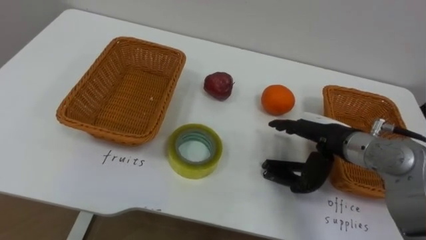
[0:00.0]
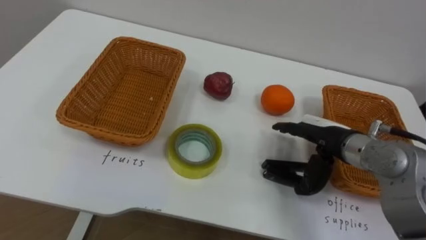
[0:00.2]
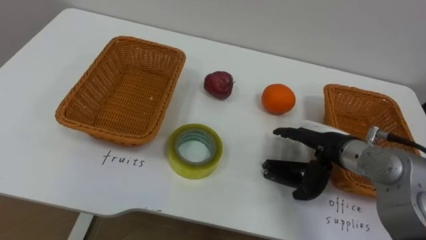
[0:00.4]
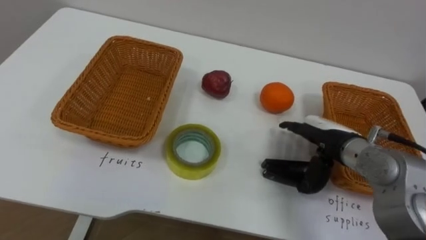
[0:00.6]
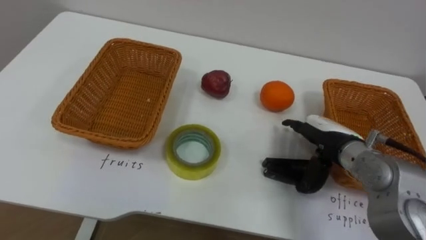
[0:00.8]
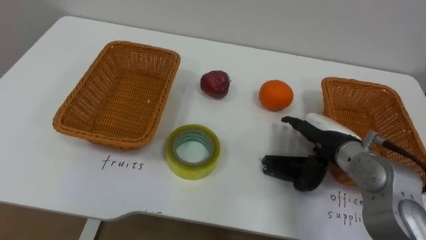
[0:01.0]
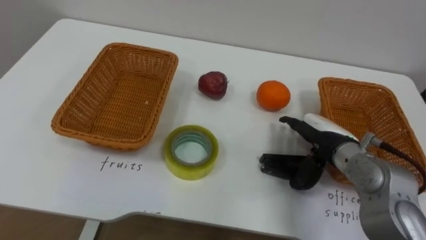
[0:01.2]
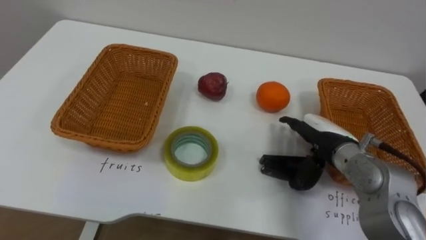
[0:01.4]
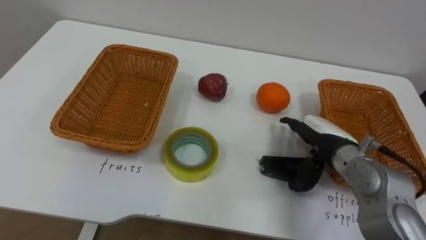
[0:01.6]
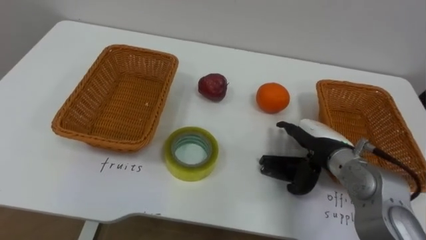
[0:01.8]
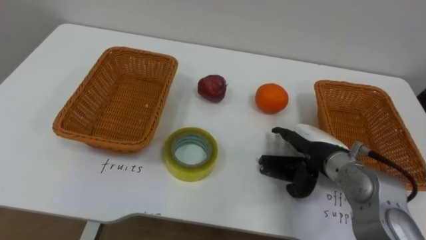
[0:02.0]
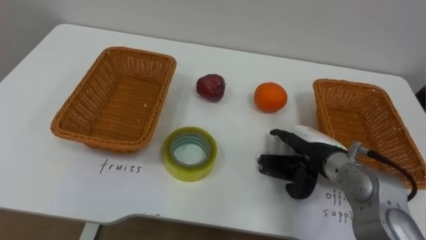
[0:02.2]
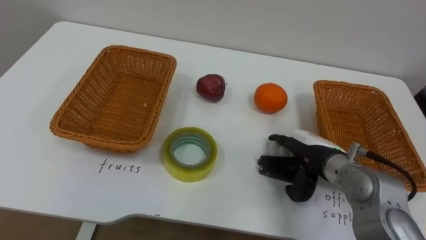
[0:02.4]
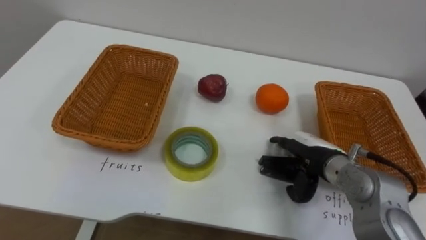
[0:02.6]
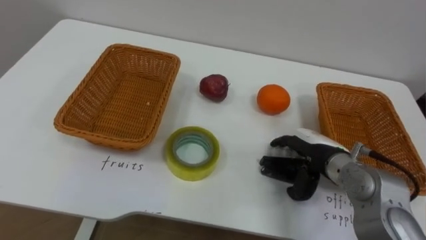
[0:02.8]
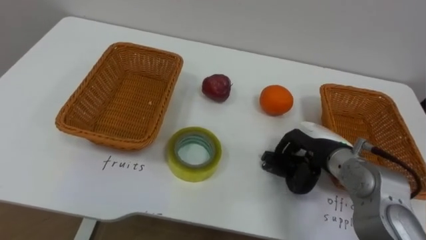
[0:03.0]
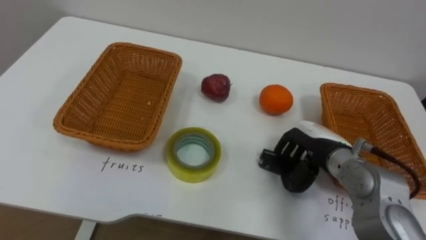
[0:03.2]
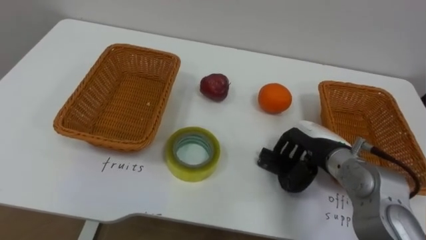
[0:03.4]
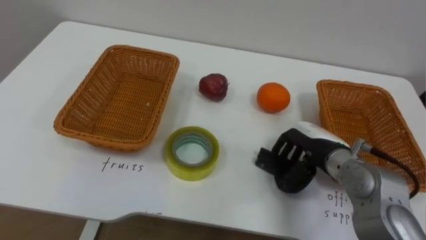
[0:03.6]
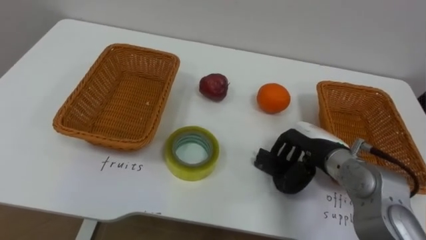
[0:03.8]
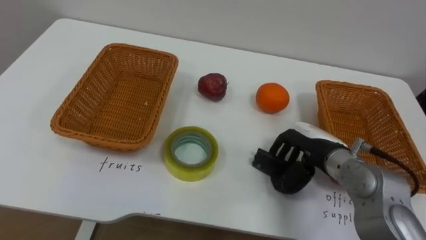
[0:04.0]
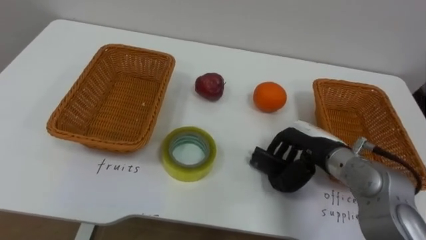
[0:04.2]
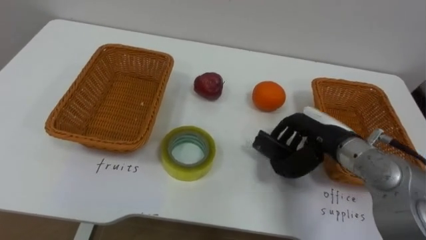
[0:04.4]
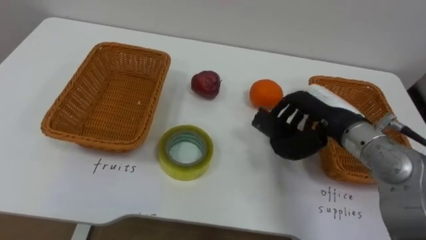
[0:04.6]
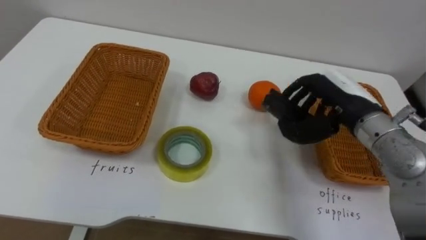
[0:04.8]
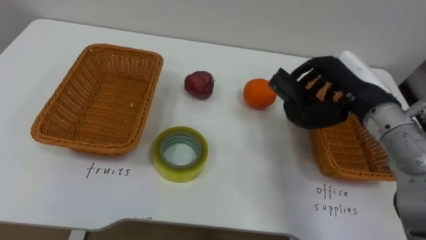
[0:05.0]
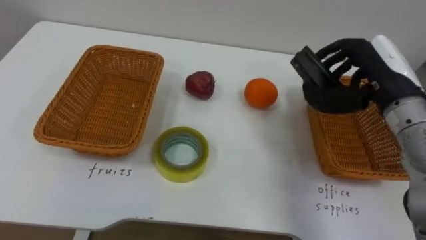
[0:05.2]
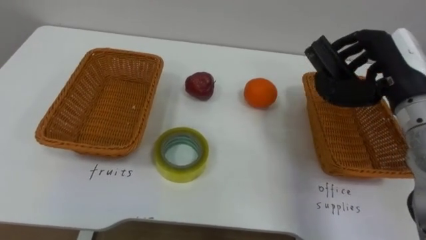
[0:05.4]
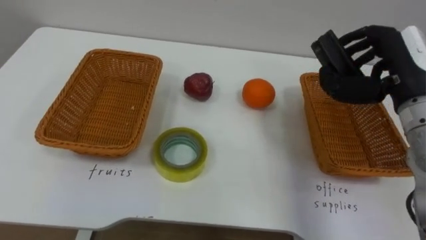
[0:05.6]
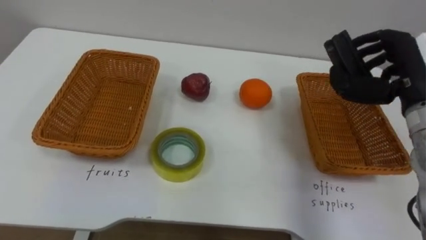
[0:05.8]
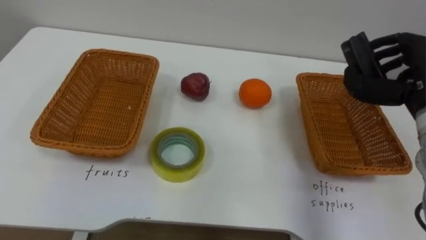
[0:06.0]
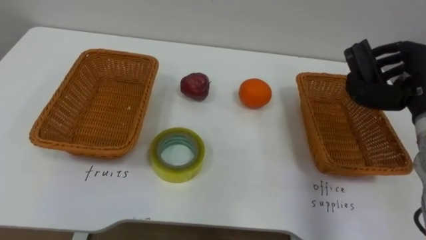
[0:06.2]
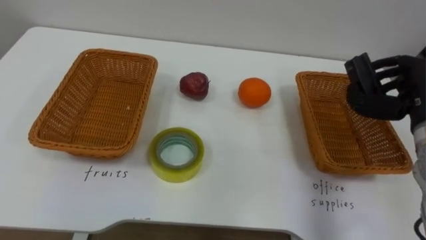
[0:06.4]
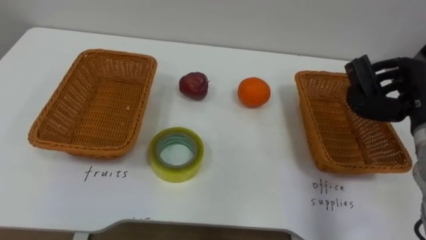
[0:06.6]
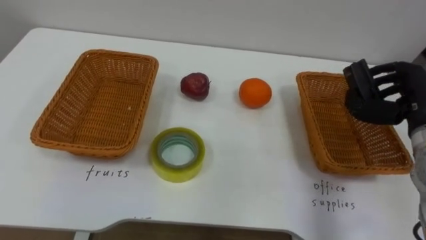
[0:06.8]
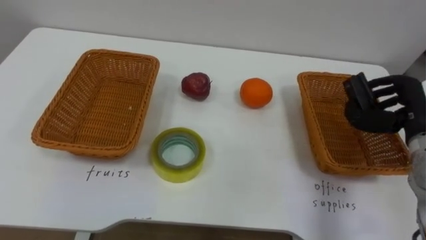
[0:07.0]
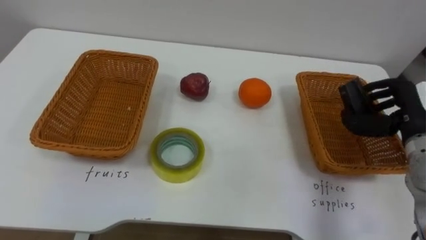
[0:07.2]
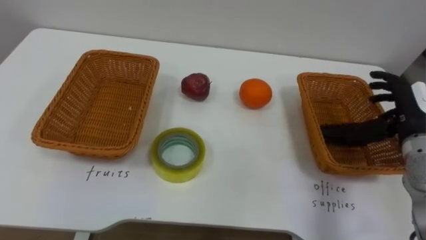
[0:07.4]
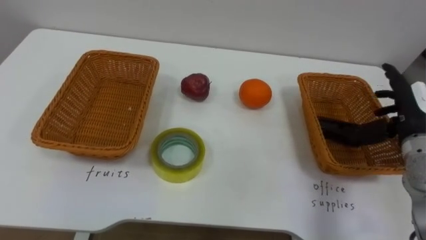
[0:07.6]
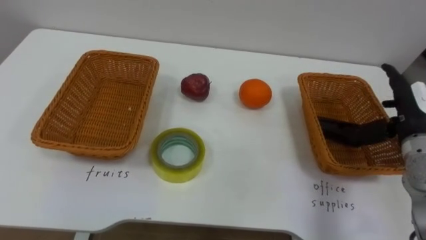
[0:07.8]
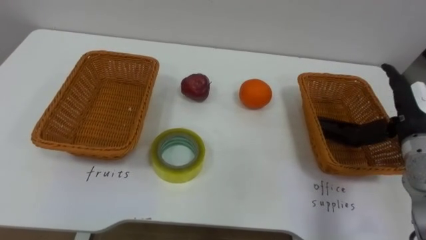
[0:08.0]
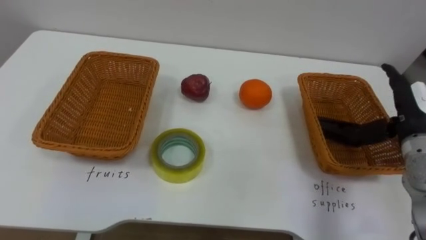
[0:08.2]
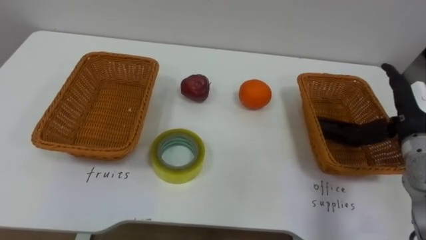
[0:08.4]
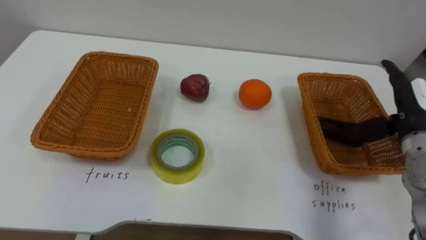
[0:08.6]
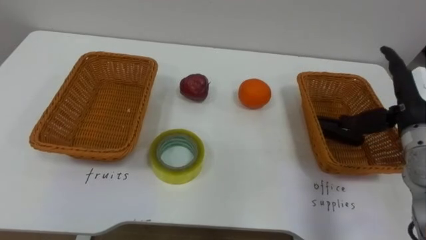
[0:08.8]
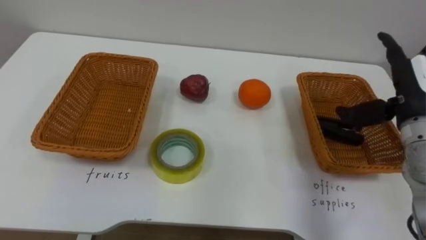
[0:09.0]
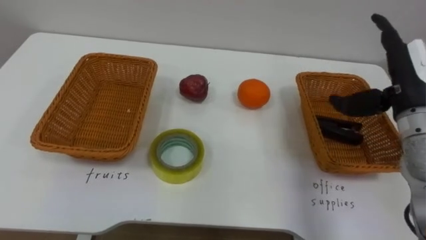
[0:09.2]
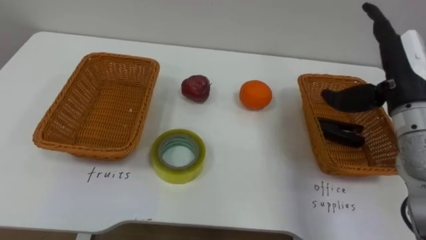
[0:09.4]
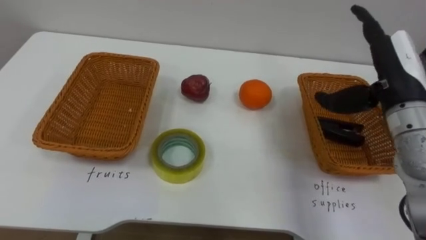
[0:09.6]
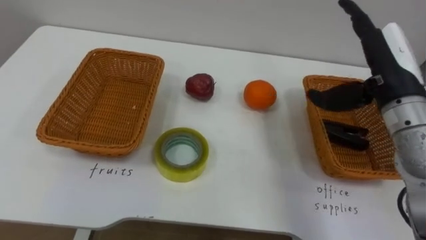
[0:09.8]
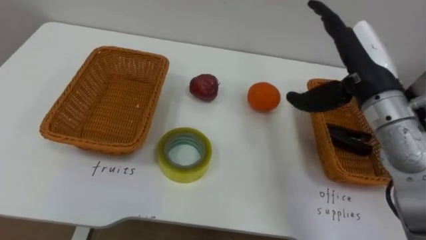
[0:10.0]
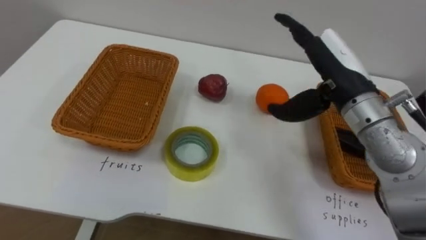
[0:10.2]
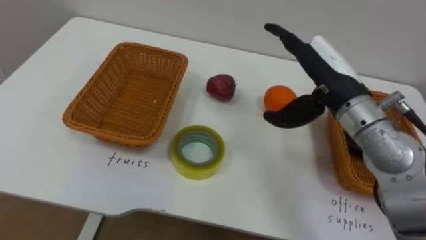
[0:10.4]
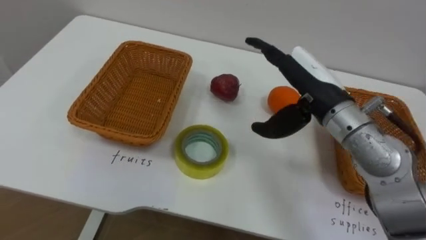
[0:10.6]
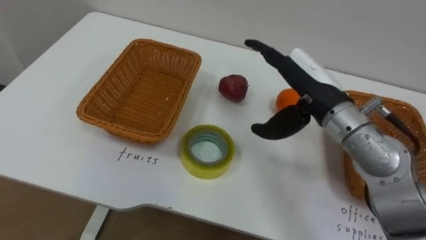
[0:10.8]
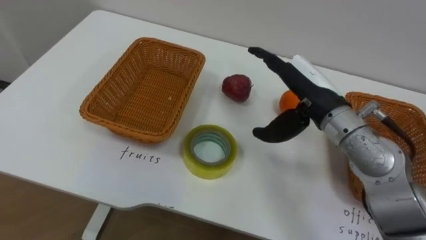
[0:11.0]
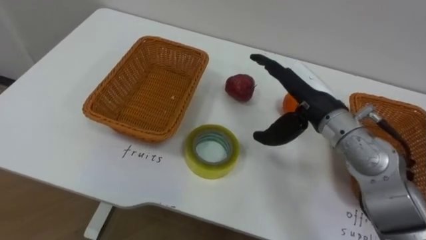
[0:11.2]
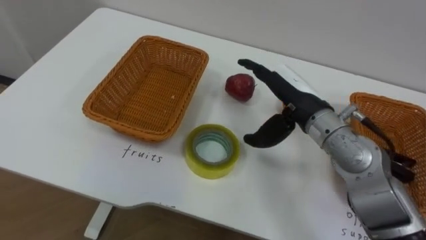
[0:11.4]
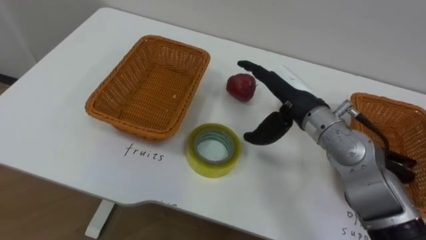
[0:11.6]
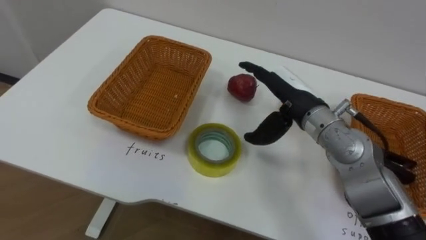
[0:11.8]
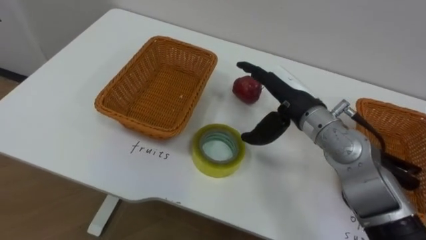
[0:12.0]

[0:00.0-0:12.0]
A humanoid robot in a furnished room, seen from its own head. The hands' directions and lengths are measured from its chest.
Task of the whole recording: Separate the items on the table and place them into the two baskets.
1.6 to 3.0 s: The right hand closes.
4.4 to 6.0 s: The right hand goes roughly 15 cm to the right and upward.
6.0 to 7.6 s: The right hand goes roughly 10 cm downward, and opens.
7.6 to 9.0 s: The right hand changes place by roughly 5 cm.
9.0 to 10.4 s: The right hand is displaced to the left by approximately 15 cm.
10.4 to 12.0 s: The right hand shifts roughly 5 cm downward.

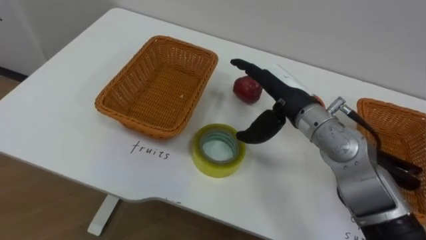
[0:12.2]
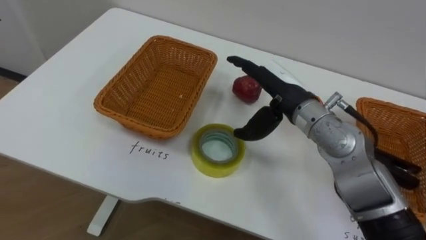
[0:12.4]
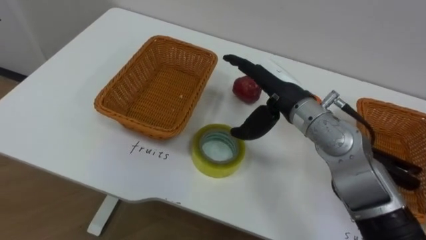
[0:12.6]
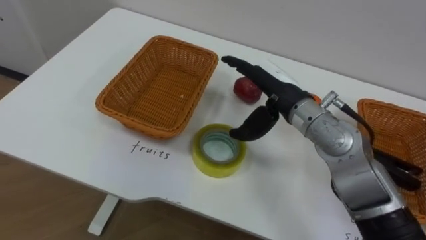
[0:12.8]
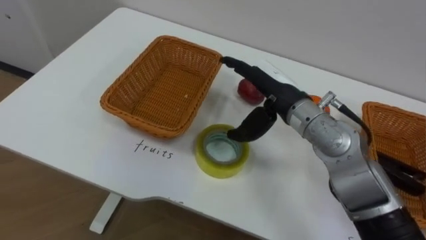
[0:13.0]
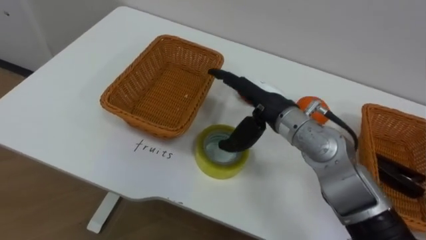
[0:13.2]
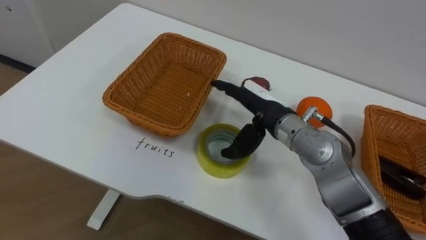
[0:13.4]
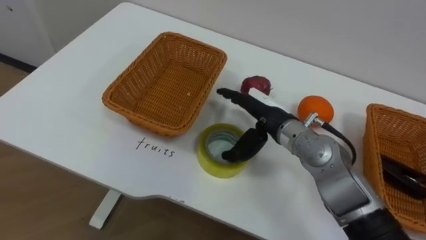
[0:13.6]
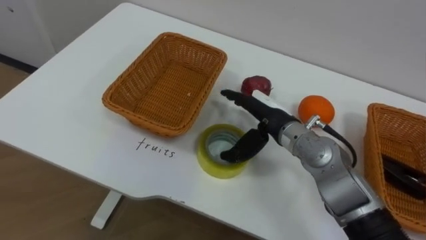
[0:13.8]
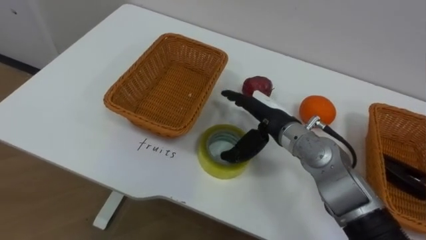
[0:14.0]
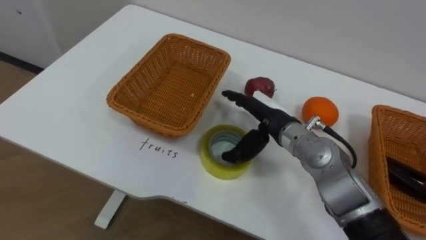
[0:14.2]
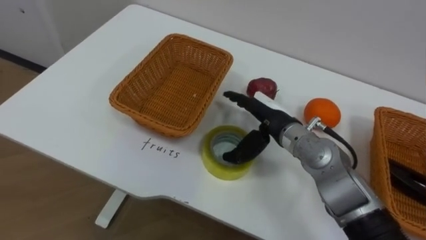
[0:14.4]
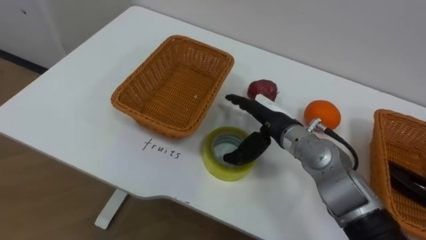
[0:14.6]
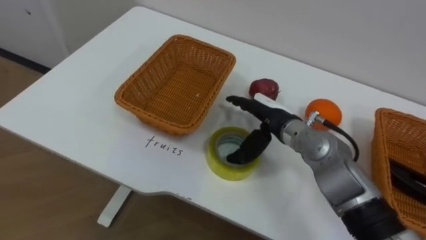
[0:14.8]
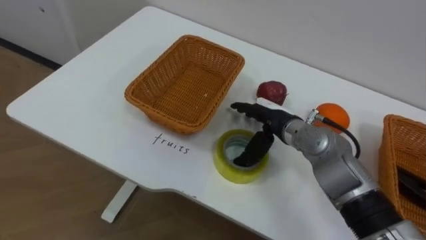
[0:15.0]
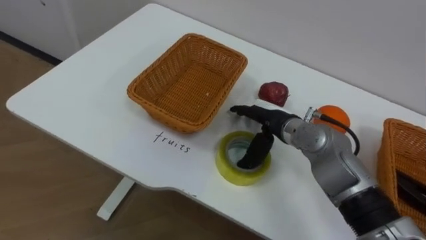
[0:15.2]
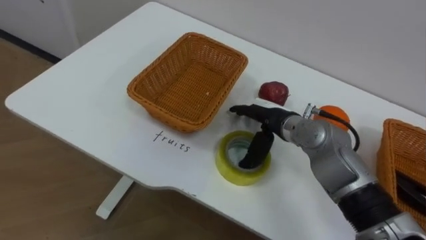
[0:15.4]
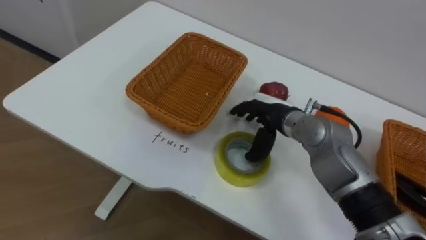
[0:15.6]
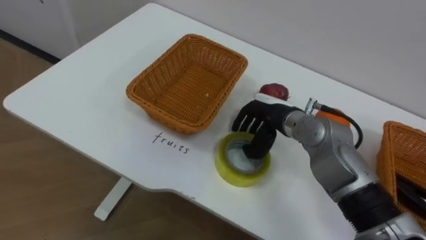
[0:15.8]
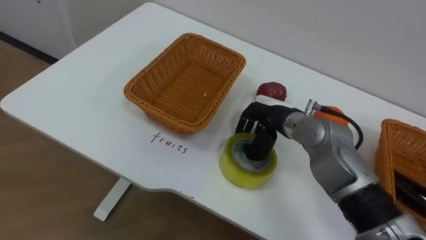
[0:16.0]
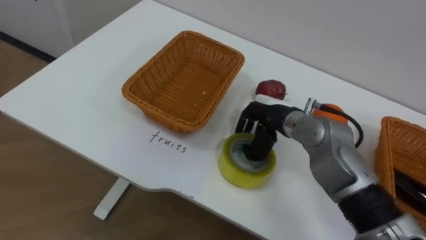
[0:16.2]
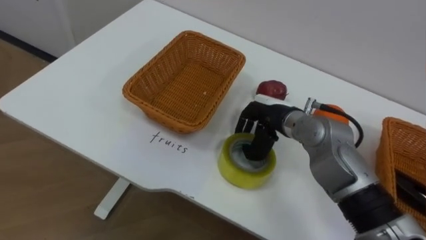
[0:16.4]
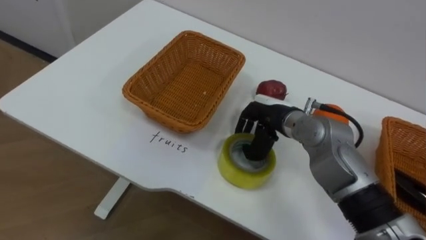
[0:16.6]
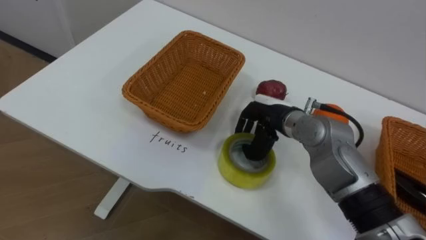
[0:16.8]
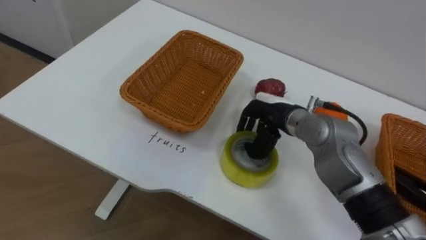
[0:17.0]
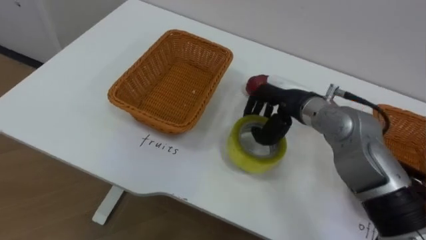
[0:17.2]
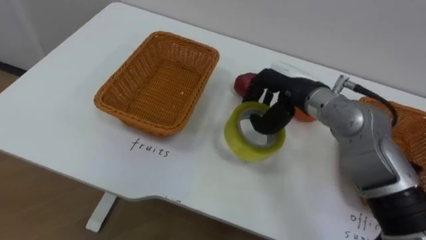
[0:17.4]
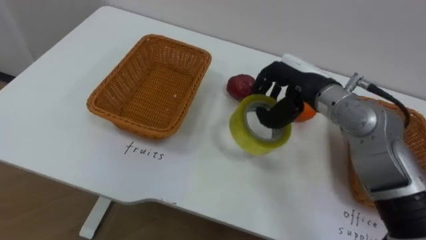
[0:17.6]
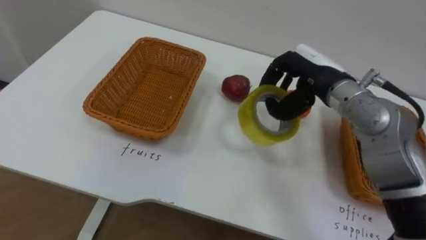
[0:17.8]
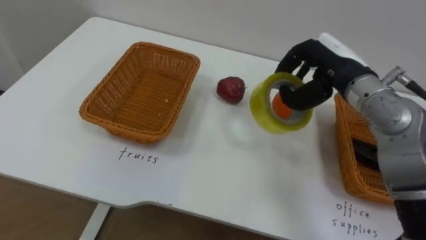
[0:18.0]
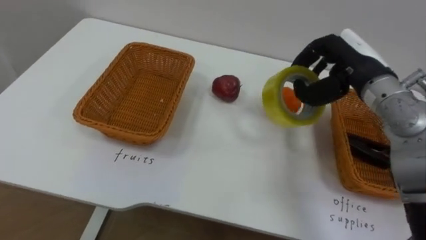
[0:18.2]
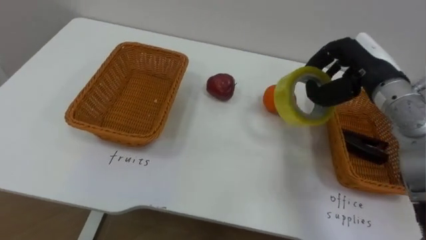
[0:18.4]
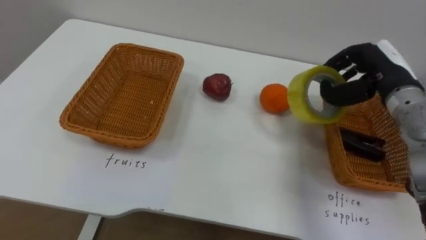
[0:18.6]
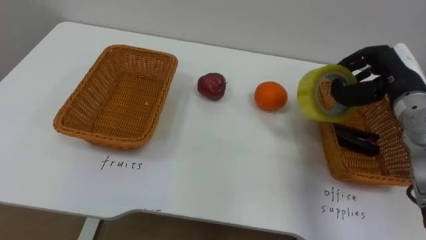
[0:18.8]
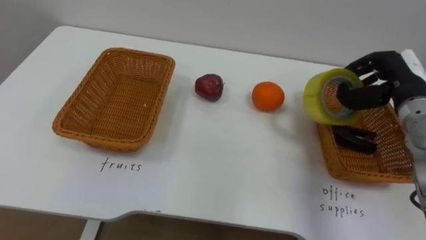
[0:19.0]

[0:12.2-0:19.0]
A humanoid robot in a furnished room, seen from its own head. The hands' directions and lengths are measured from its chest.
Task of the whole recording: Separate the items on the table and place them into the two baskets.
12.2 to 13.6 s: The right hand is displaced downward by roughly 5 cm.
15.0 to 16.2 s: The right hand closes.
16.2 to 17.6 s: The right hand shifts about 10 cm upward.
17.6 to 19.0 s: The right hand moves to the right, roughly 15 cm.
